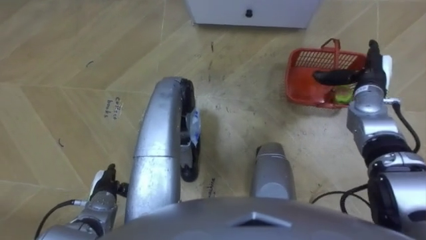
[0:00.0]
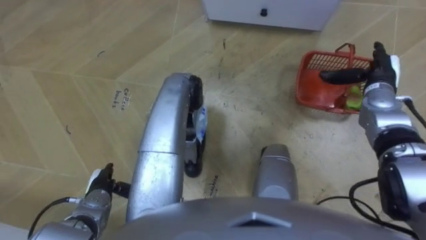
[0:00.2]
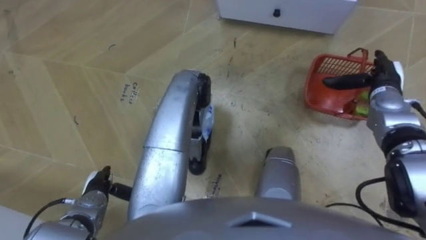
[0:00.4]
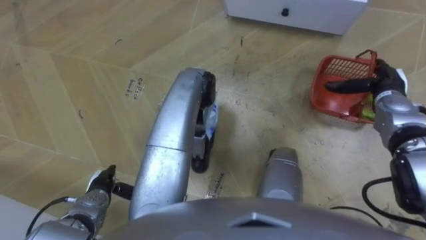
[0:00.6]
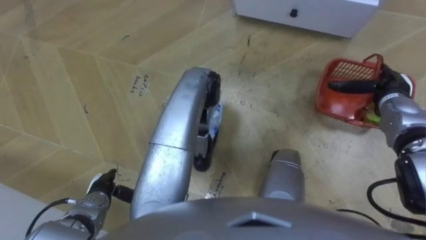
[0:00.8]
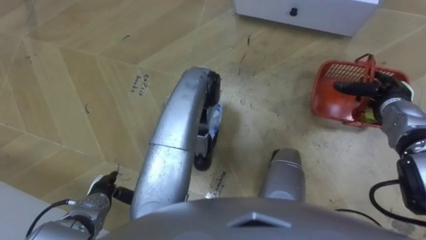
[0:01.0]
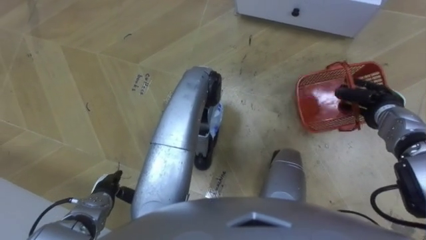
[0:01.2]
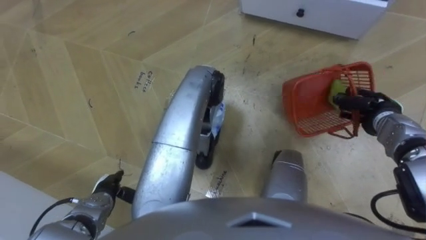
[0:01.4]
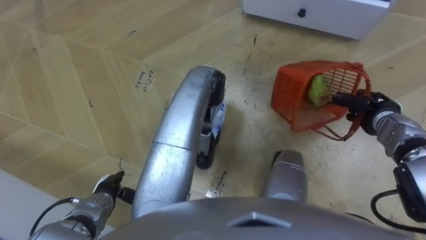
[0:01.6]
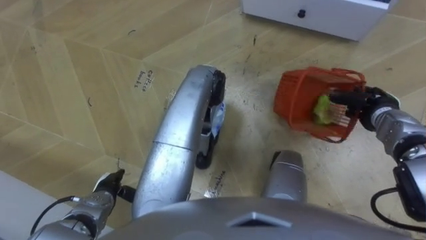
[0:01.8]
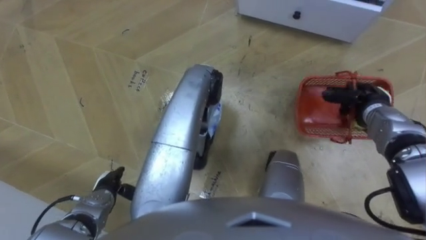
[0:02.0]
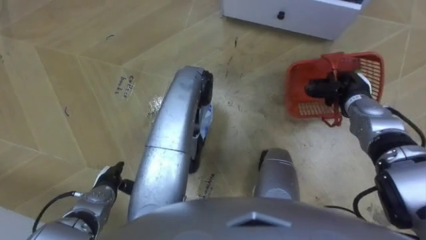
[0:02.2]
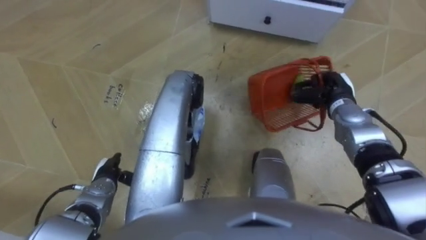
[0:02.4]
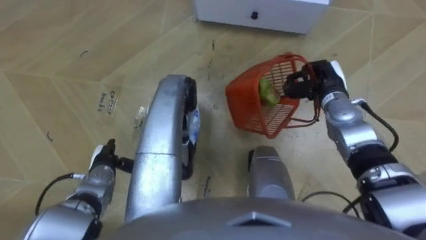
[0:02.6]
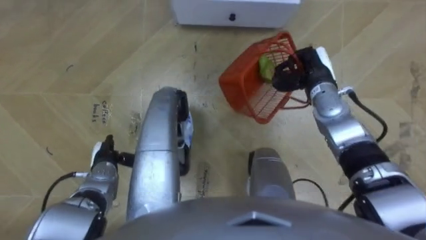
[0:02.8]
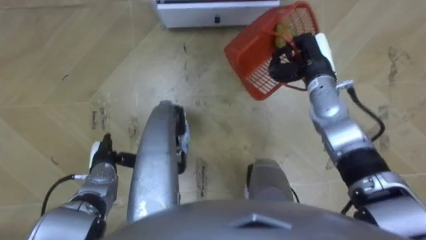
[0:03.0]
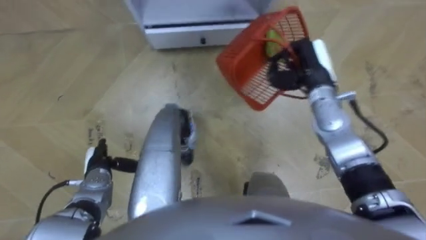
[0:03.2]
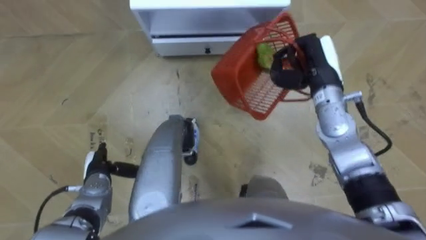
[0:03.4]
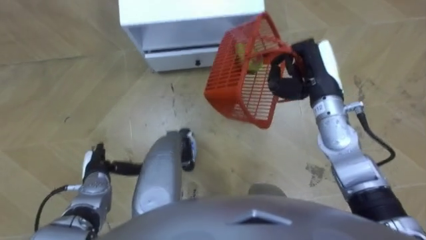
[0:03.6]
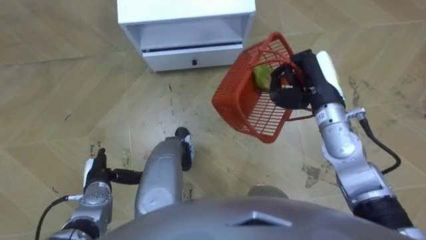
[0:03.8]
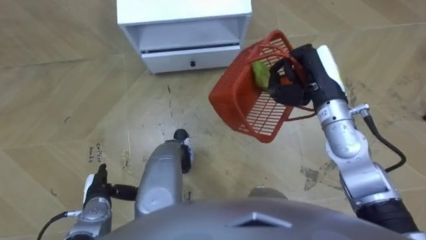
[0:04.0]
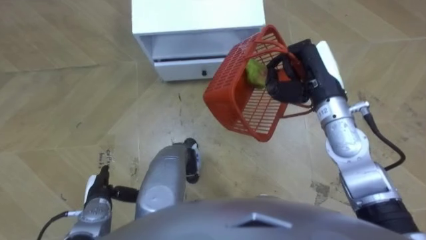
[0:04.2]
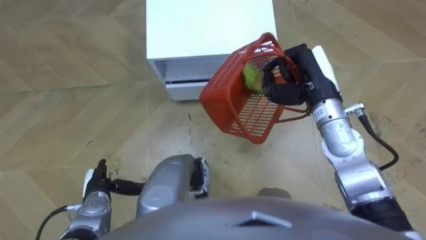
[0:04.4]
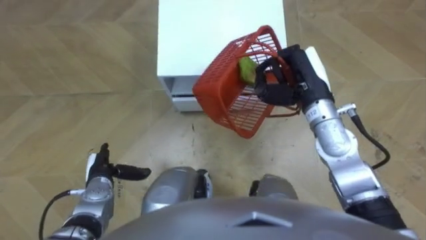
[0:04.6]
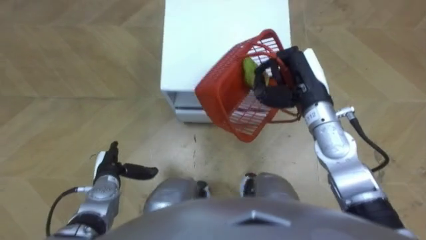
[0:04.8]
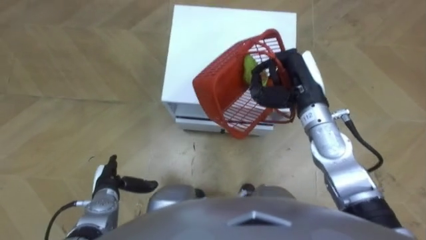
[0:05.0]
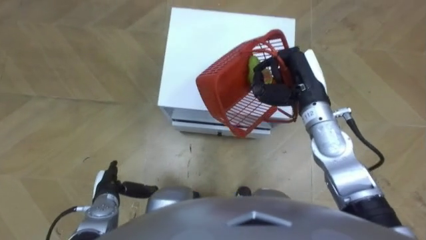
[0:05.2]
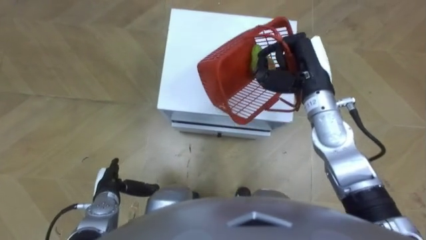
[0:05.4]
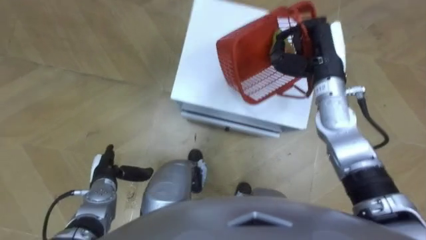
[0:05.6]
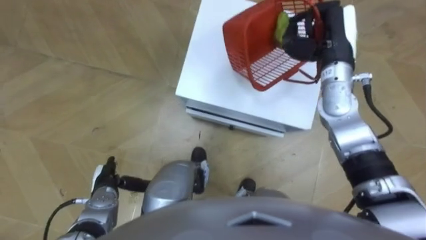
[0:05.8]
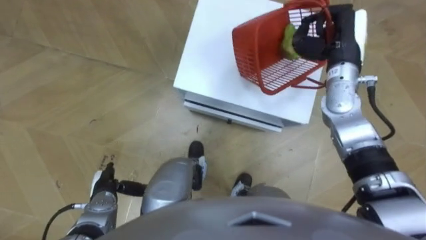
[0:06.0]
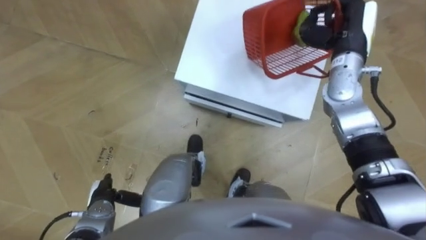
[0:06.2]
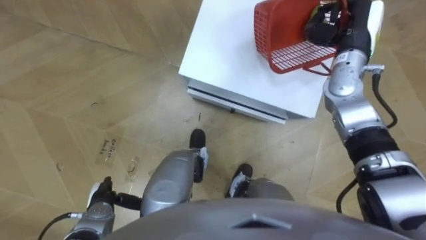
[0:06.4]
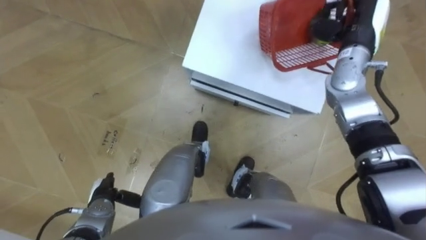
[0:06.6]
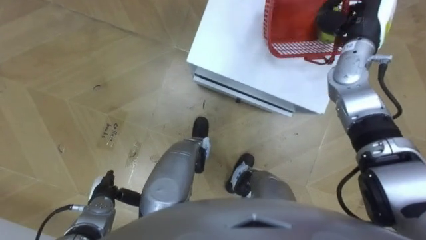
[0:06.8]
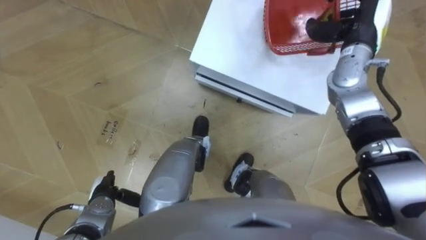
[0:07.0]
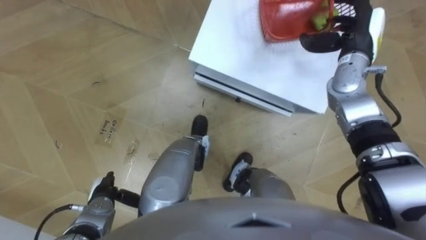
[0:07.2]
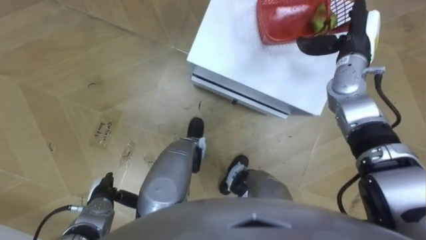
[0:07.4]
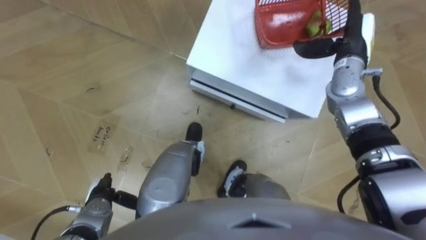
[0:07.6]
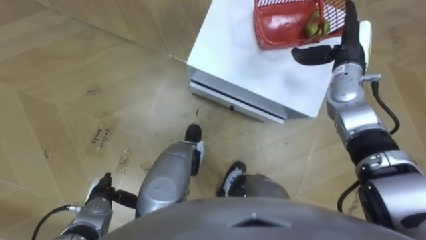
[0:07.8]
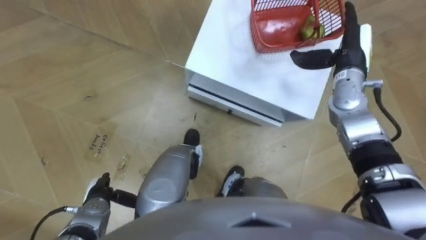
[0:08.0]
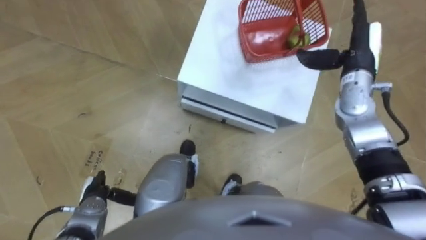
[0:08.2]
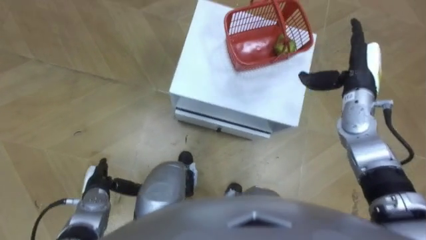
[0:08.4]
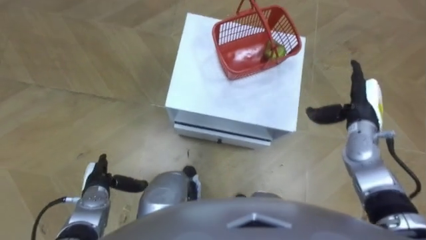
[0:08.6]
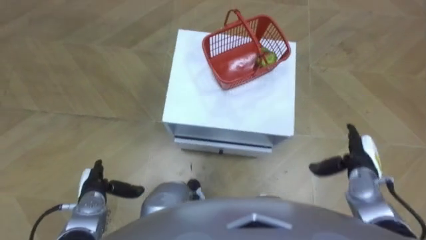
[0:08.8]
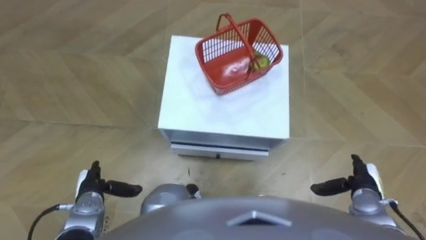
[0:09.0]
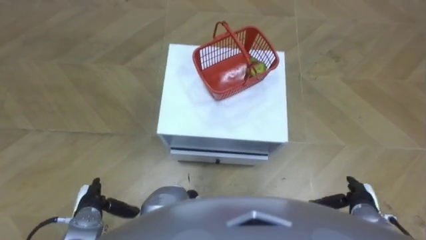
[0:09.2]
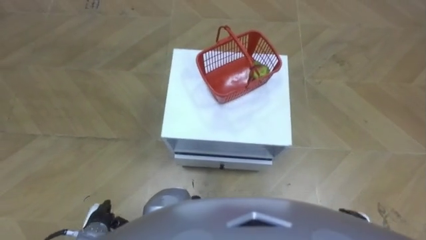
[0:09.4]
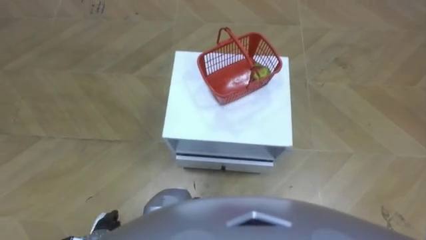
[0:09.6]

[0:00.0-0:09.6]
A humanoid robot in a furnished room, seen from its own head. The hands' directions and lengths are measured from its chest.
Task of the whole recording: Pick up the fruit basket from the floor and place it on the cabinet.
0:00.0 to 0:01.6: The right hand shifts approximately 5 cm backward and downward, and closes its fingers.
0:01.6 to 0:03.2: The robot rotates some 20 degrees to its right. The left hand travels forward by approximately 5 cm. The right hand heads to the left and upward, covering some 20 cm.
0:03.2 to 0:04.8: The right hand moves approximately 5 cm.
0:04.8 to 0:06.4: The left hand heads backward, covering roughly 5 cm; the right hand goes some 10 cm to the right and forward.
0:06.4 to 0:08.0: The right hand opens up.
0:08.0 to 0:09.6: The left hand moves backward, about 5 cm.

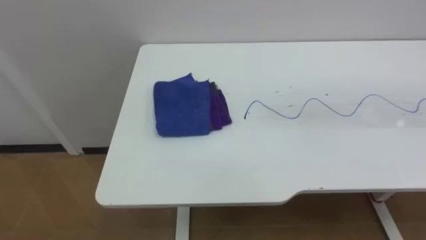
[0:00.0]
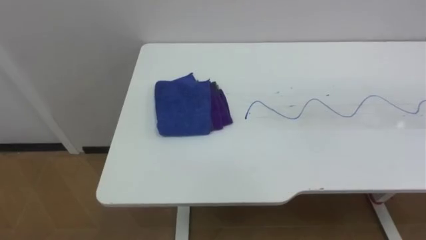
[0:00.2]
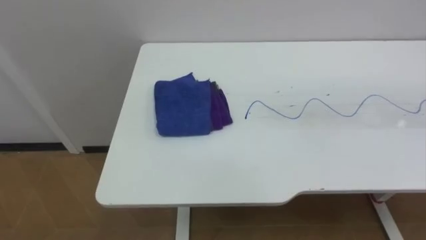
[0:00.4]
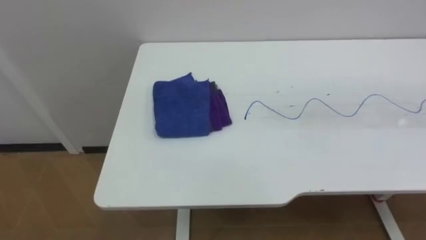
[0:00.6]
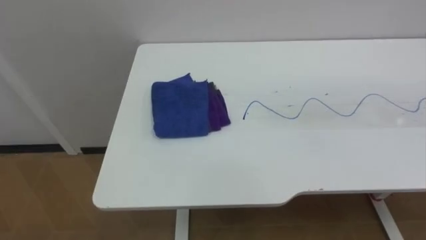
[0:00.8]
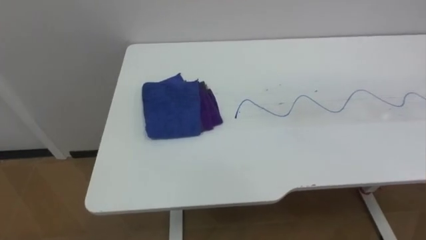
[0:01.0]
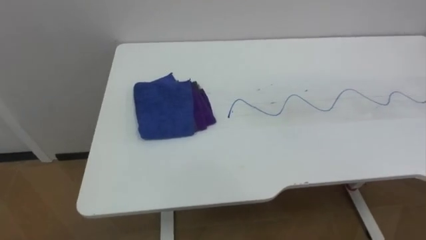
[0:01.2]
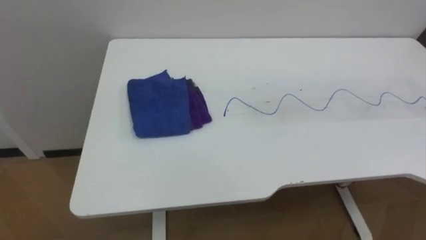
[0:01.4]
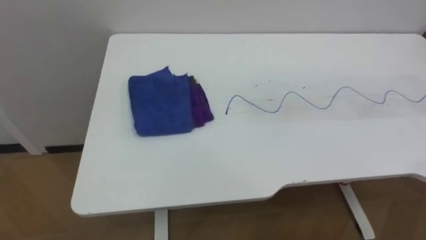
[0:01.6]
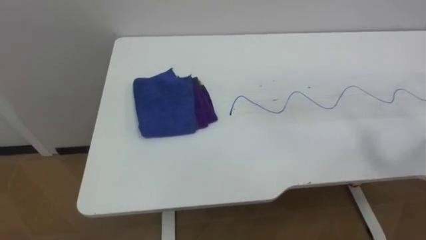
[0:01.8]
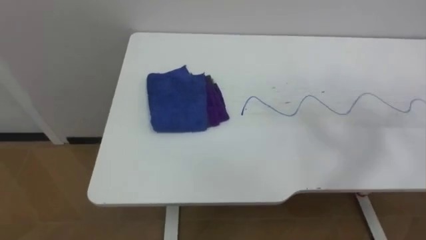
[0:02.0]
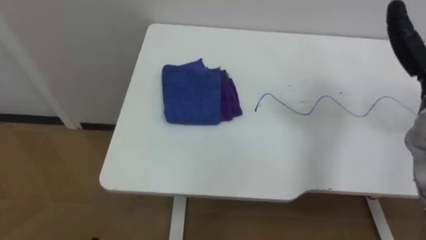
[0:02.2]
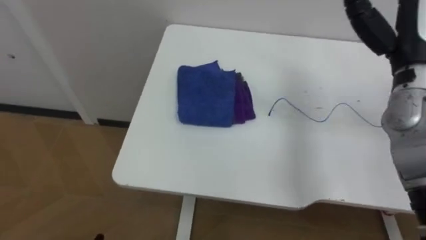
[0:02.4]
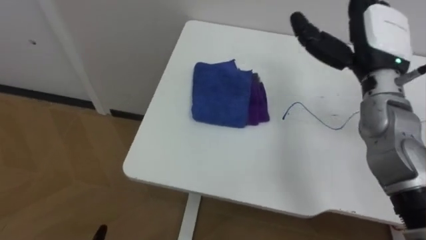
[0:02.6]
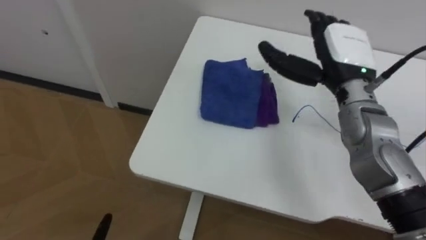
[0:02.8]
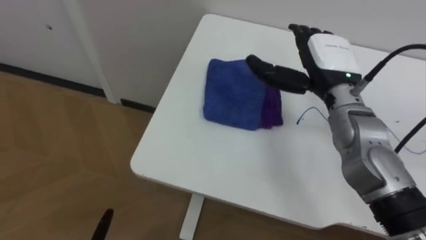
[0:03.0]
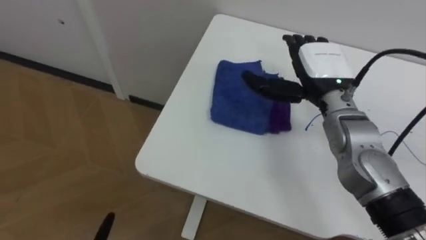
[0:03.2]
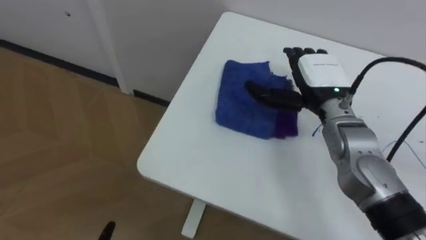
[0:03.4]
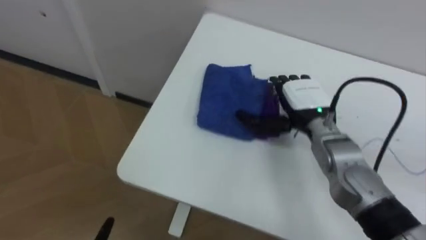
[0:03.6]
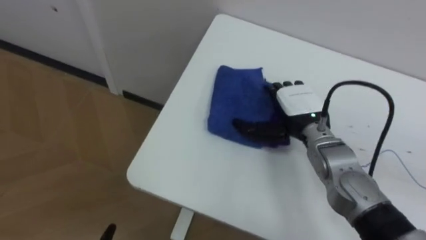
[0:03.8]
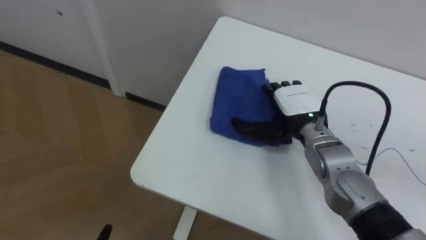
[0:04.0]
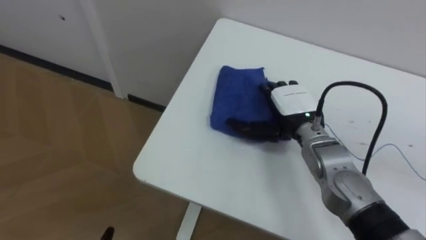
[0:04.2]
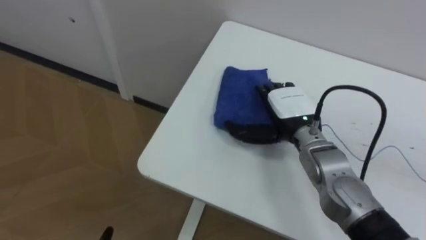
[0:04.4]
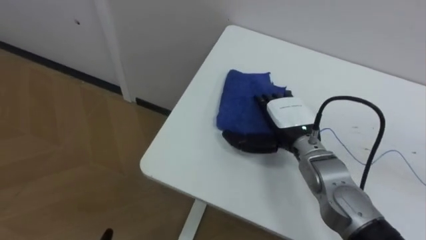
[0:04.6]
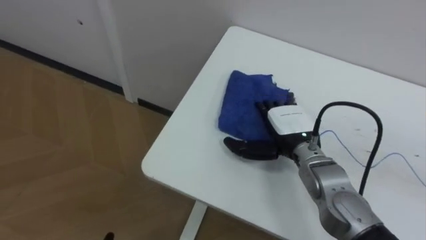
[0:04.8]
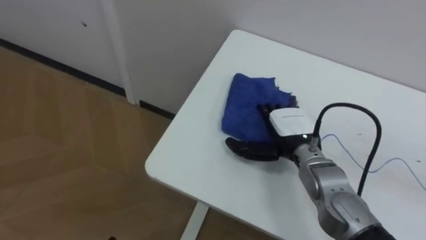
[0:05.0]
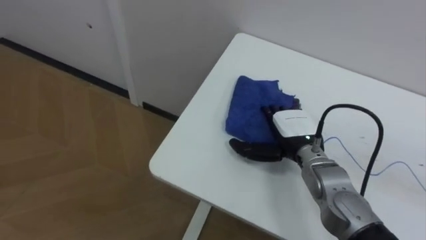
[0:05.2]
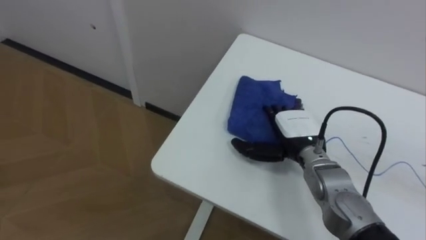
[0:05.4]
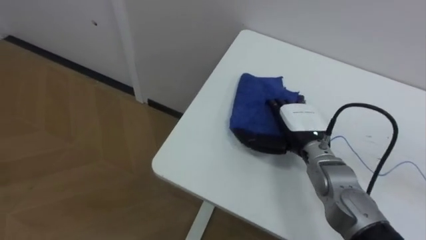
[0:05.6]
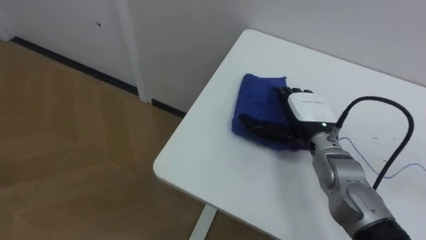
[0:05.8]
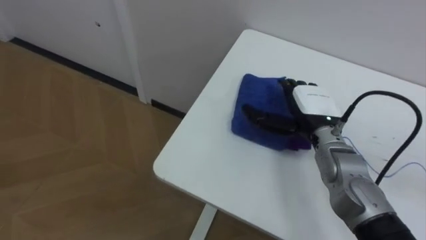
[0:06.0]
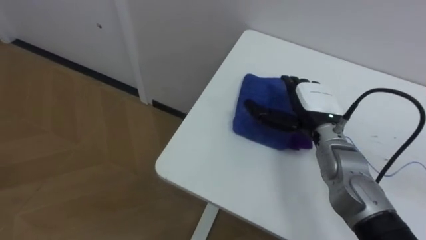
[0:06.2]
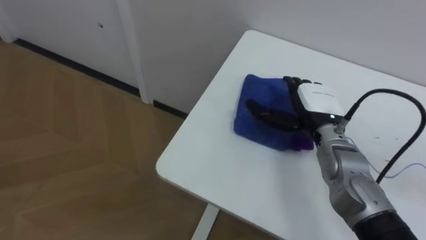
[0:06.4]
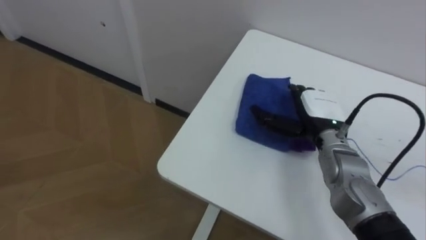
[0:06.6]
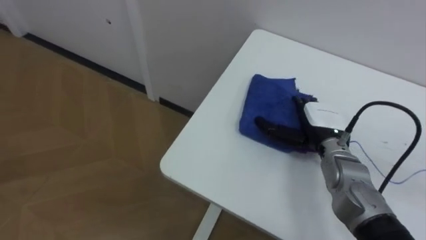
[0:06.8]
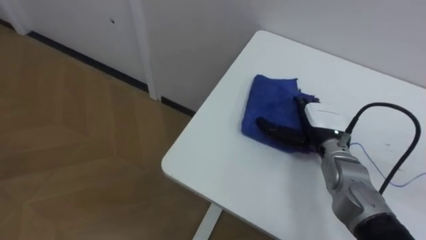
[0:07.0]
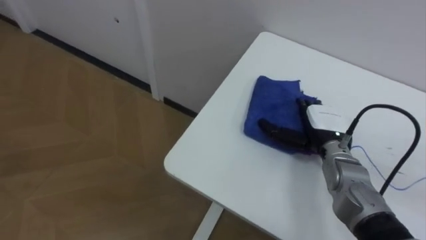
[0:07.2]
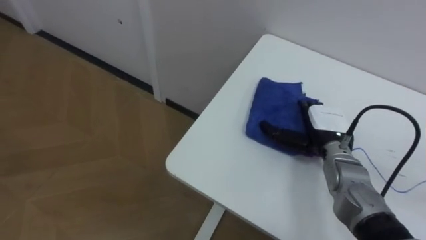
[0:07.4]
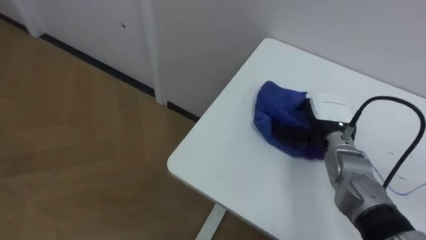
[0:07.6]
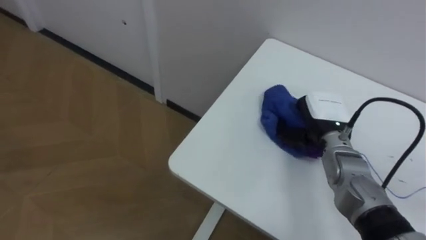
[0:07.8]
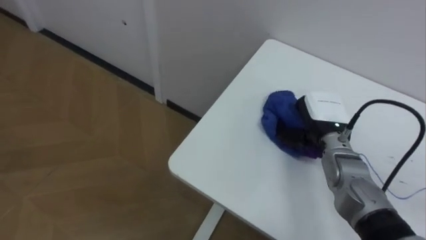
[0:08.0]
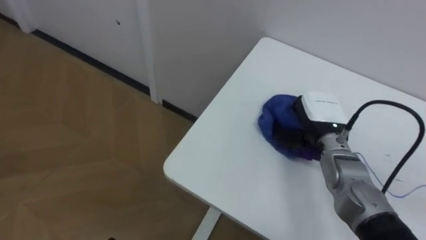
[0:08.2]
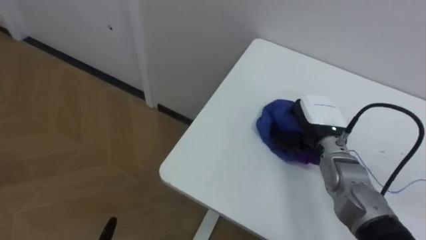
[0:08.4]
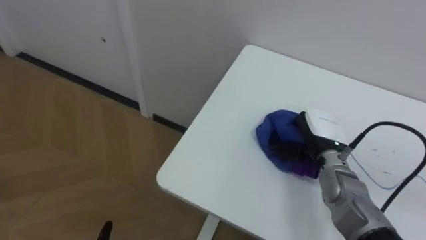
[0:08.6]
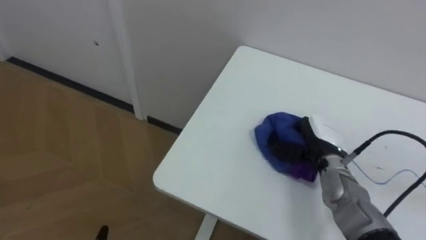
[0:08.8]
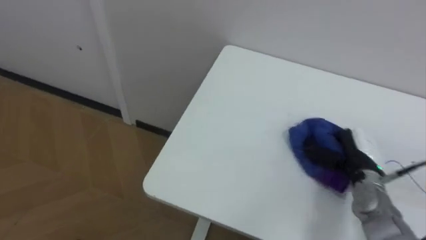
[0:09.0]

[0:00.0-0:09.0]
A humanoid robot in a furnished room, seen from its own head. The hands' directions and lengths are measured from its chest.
Task of the whole recording: Wipe the blue pen marks off the table with the rag.
0:03.0 to 0:04.4: The right hand moves downward, roughly 10 cm.
0:06.0 to 0:07.6: The right hand moves some 5 cm.
0:07.6 to 0:09.0: The right hand is displaced backward, to the right and downward by about 10 cm, and closes up.
